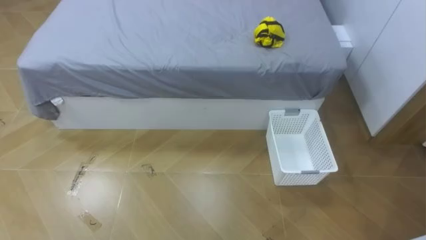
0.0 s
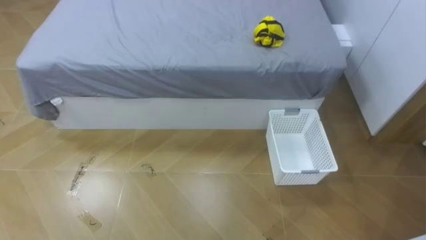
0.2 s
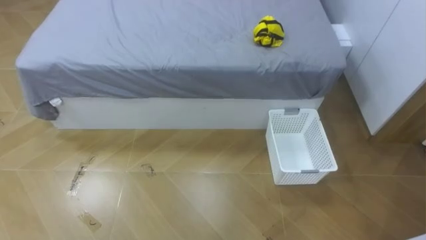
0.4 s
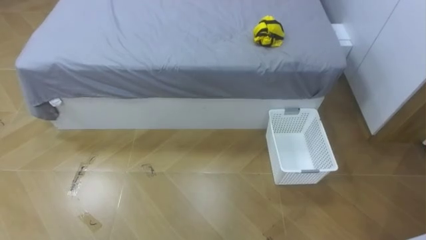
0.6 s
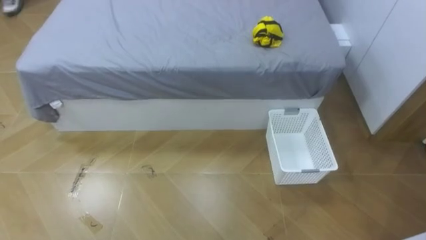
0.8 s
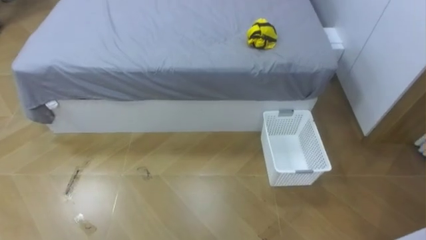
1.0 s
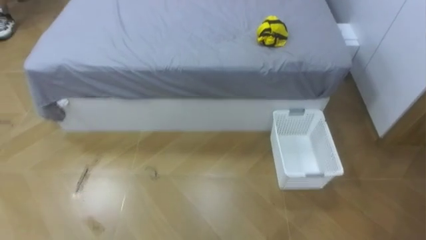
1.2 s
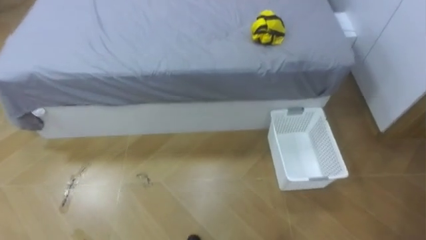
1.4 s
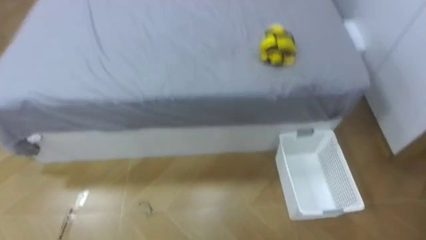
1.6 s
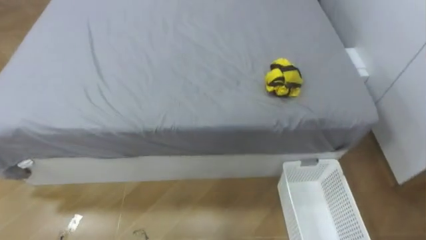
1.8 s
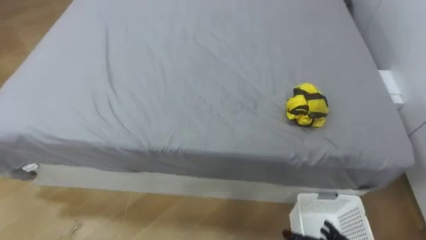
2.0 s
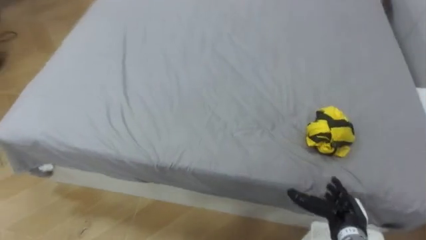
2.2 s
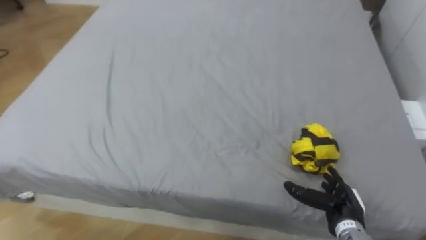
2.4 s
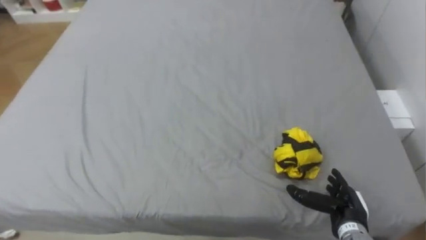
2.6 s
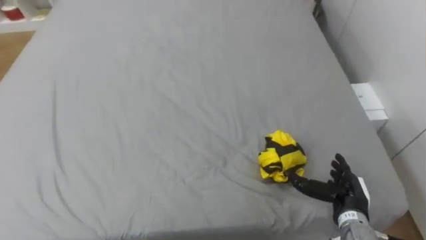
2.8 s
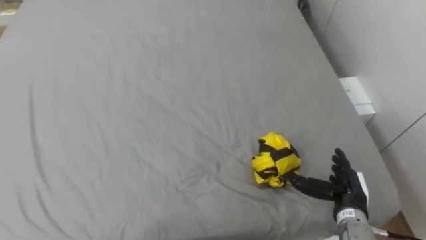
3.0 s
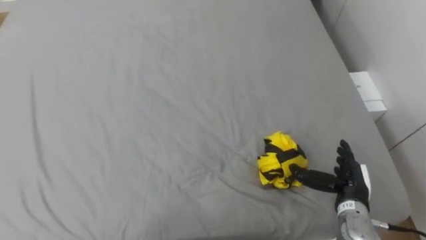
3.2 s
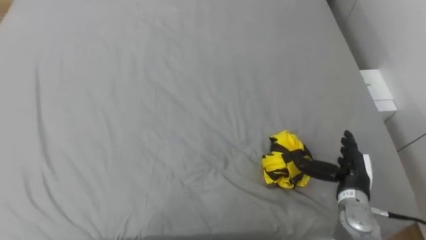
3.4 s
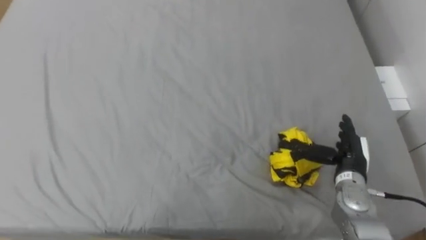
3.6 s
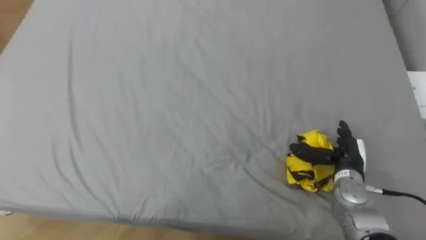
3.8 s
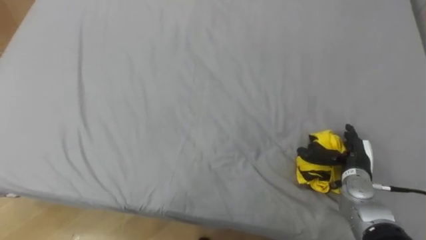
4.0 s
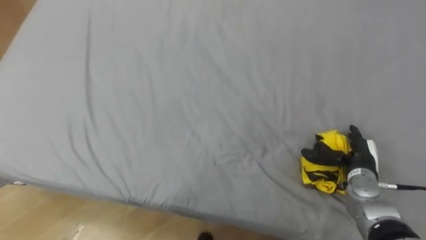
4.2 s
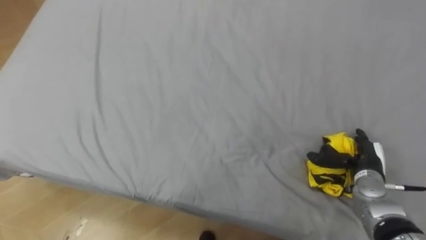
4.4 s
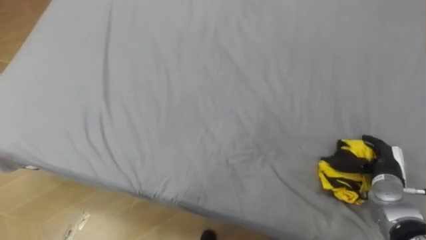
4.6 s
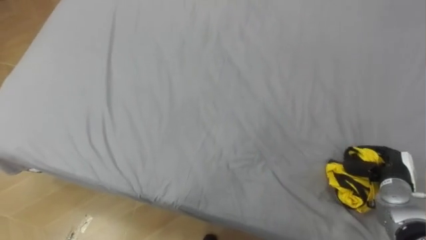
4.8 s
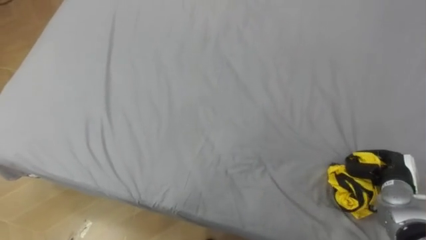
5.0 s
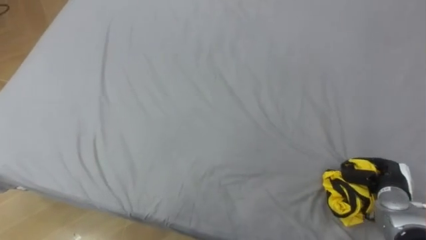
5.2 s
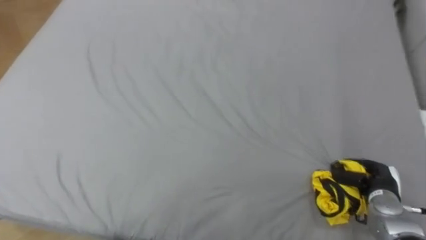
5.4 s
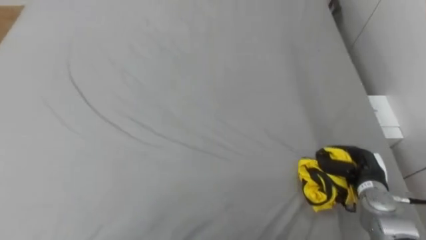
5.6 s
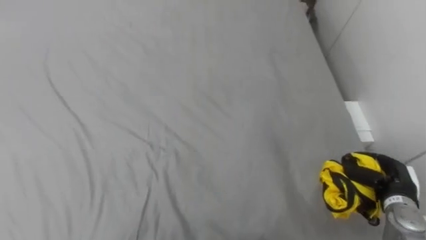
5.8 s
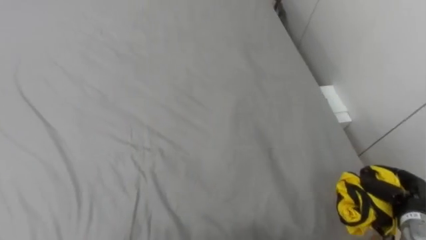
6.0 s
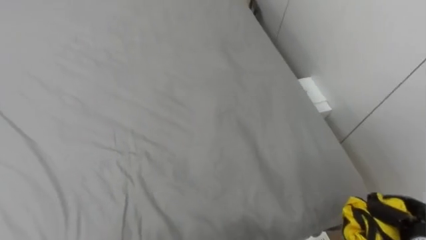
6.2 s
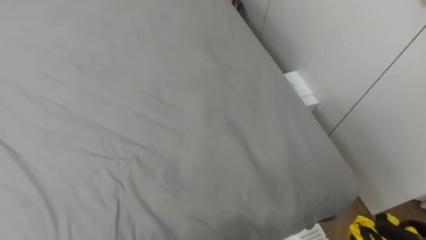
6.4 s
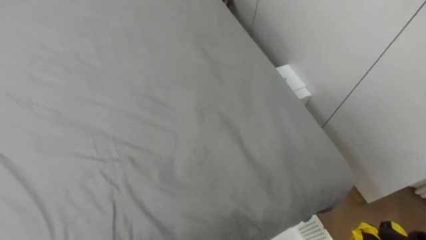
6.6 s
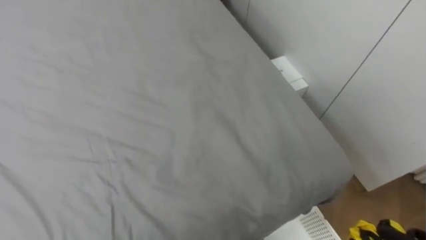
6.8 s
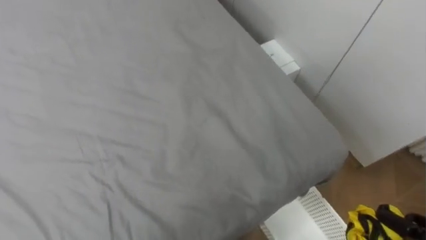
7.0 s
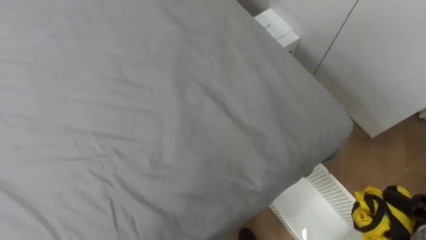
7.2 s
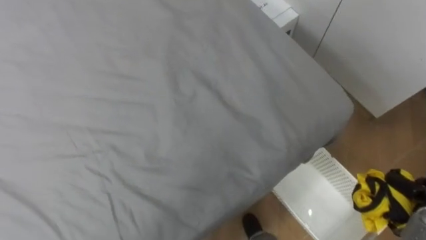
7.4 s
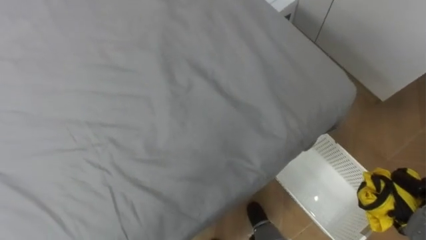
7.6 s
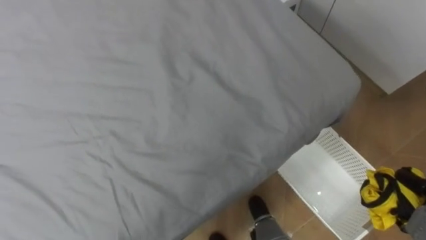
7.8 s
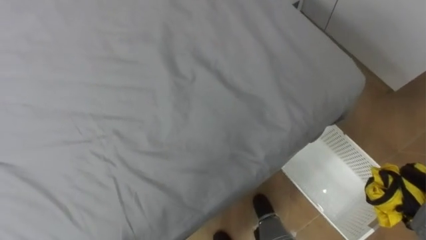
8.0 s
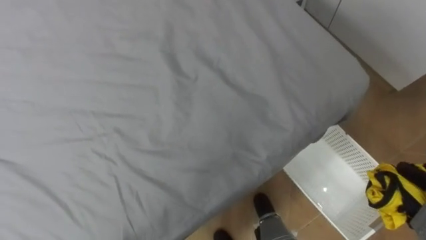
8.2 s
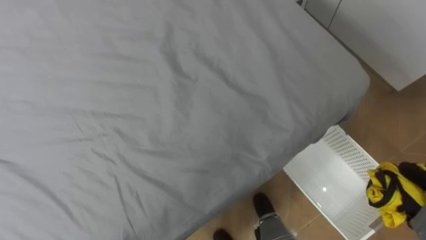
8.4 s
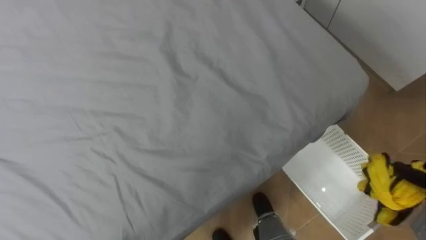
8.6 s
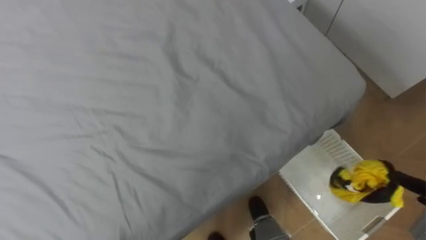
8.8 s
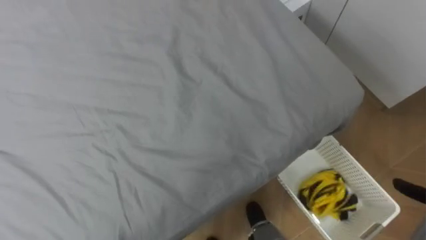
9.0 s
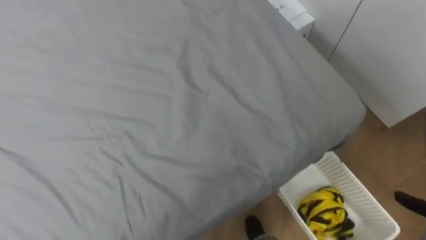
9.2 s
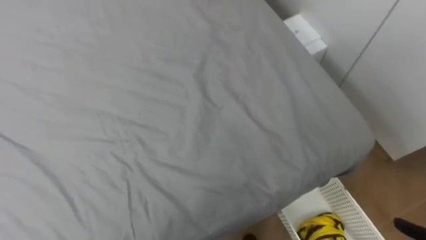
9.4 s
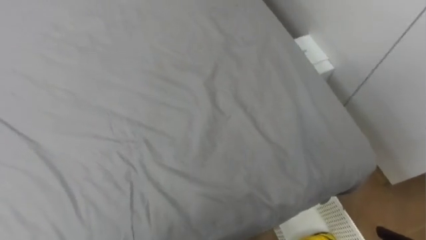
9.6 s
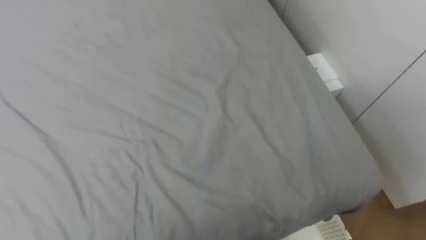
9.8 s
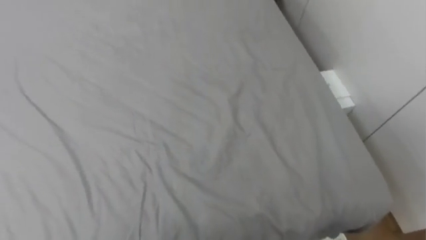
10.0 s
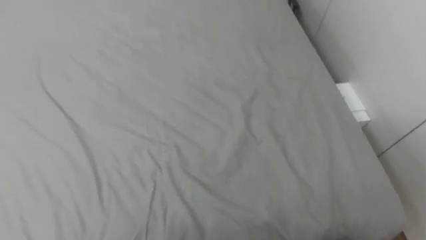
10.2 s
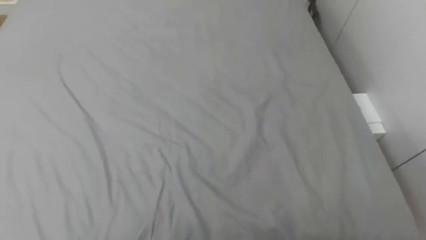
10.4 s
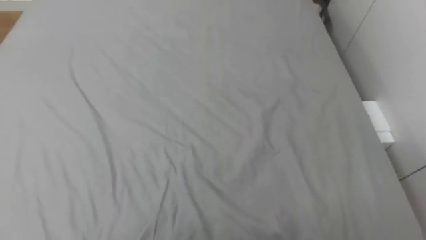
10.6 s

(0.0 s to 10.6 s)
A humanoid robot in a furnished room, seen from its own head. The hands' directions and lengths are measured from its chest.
Task of the whole recording: Pick up the yellow clothes on the bed and place them into the white basket on the right.
3.0 s - 4.6 s: The right hand heads to the right and forward, covering about 10 cm.
4.6 s - 6.0 s: The right hand travels backward by some 5 cm, and closes.
9.0 s - 10.6 s: The robot turns to its left by approximately 20 degrees.

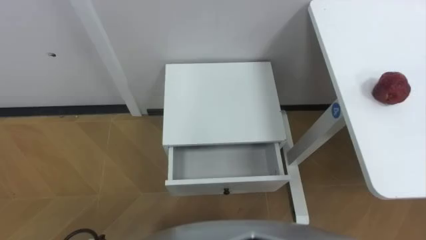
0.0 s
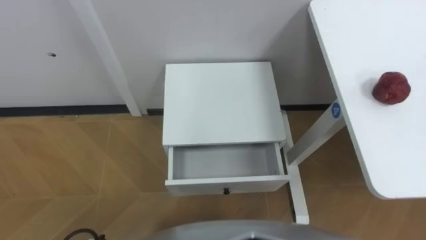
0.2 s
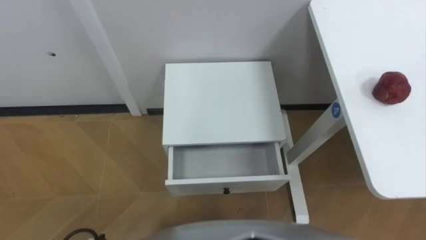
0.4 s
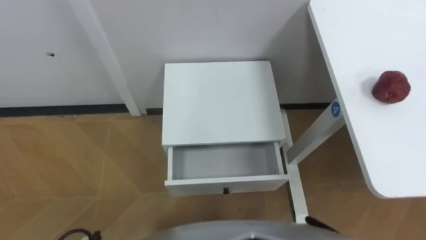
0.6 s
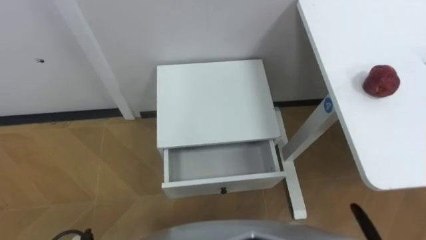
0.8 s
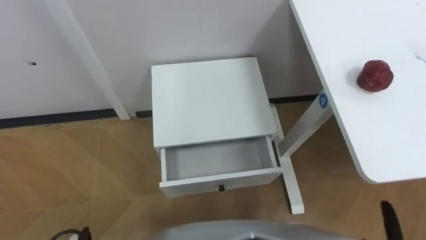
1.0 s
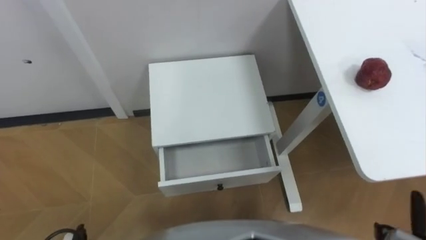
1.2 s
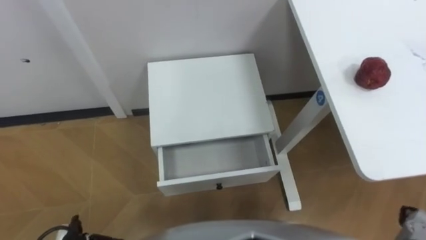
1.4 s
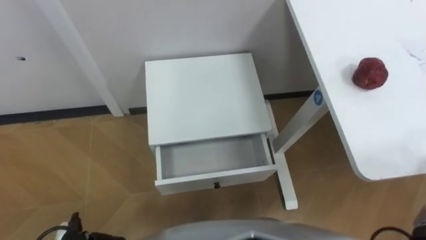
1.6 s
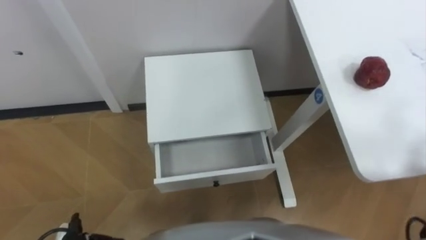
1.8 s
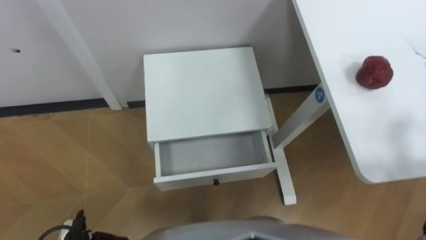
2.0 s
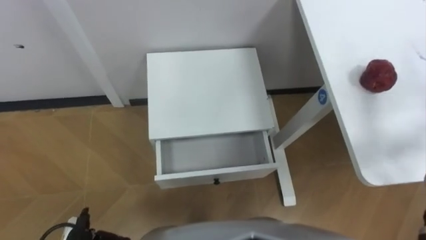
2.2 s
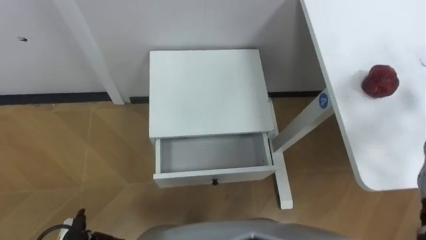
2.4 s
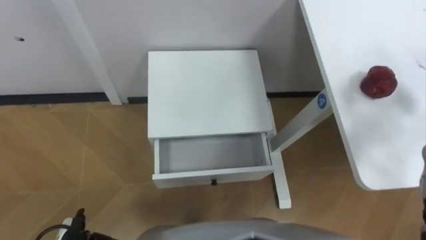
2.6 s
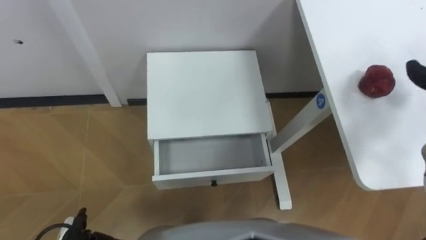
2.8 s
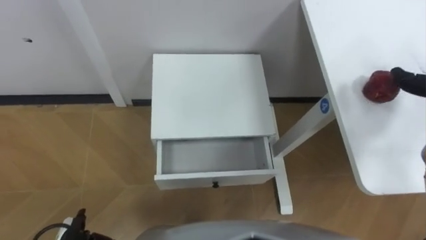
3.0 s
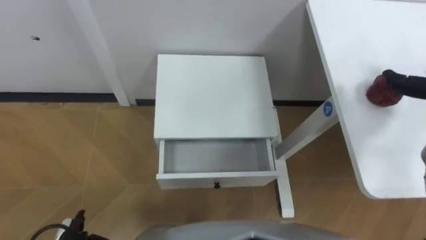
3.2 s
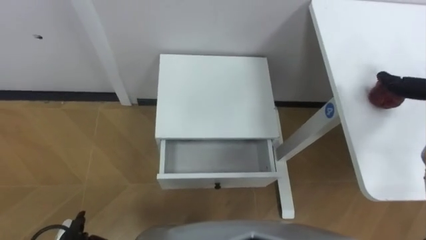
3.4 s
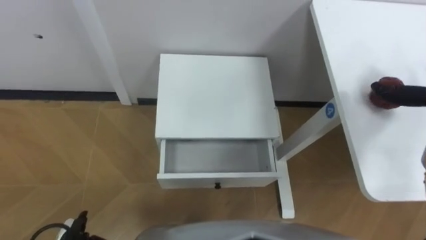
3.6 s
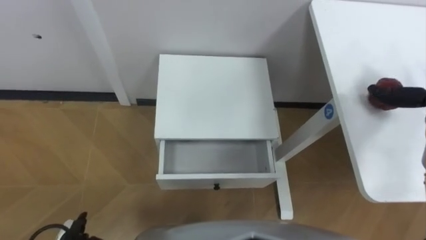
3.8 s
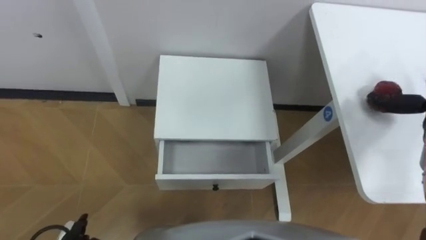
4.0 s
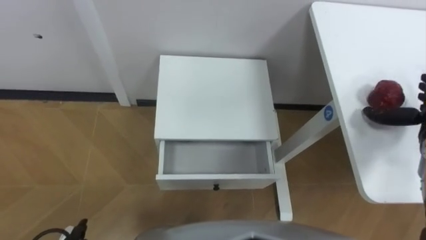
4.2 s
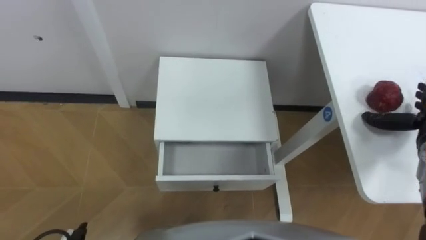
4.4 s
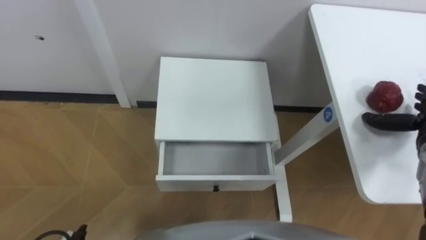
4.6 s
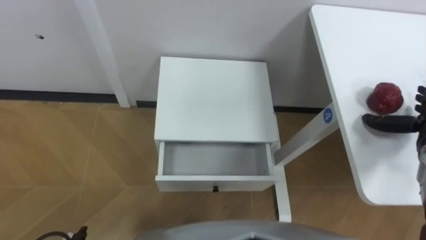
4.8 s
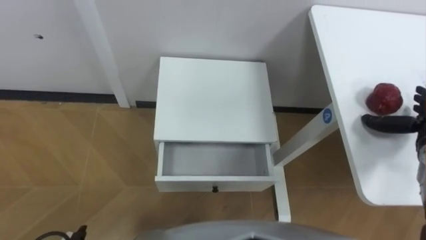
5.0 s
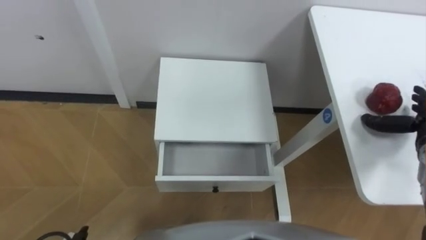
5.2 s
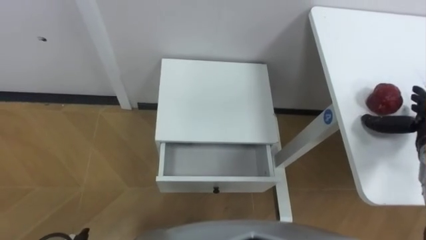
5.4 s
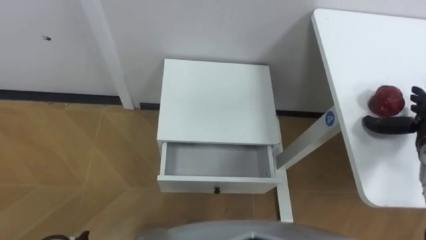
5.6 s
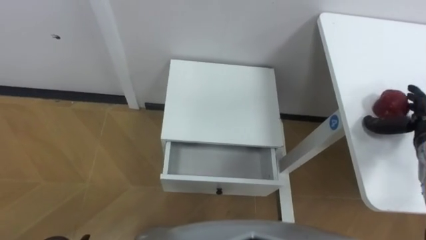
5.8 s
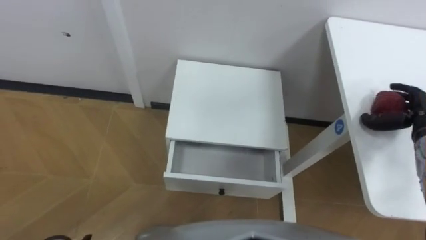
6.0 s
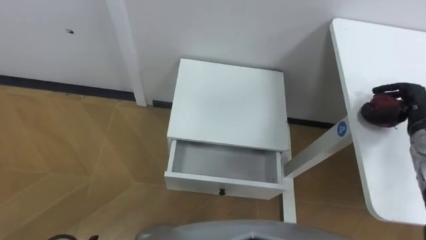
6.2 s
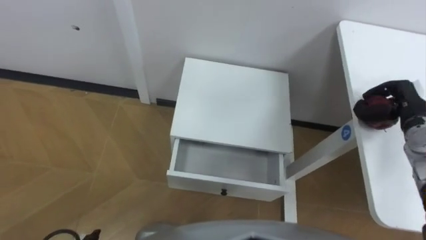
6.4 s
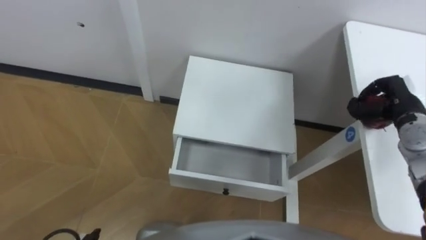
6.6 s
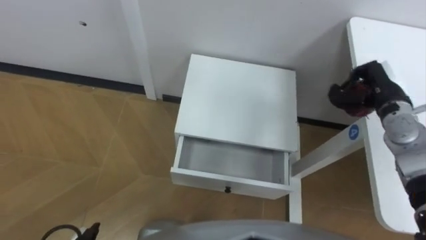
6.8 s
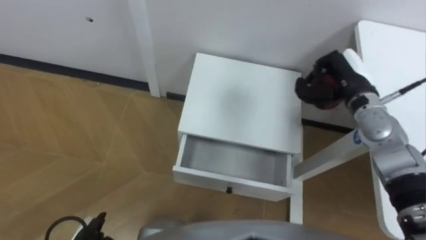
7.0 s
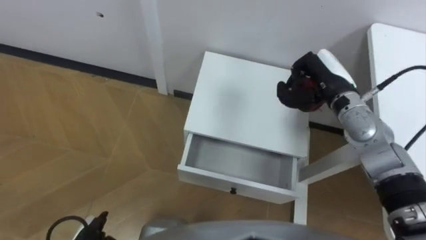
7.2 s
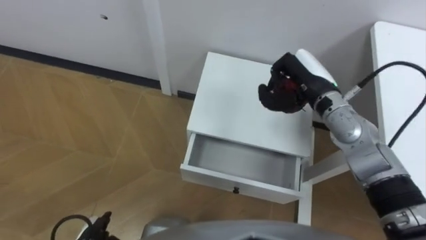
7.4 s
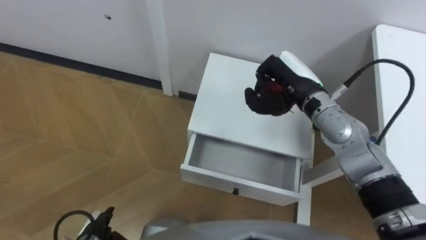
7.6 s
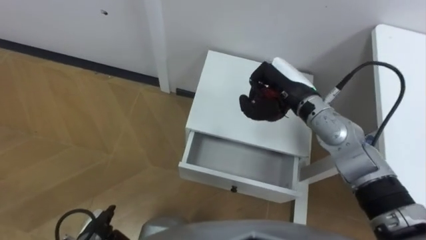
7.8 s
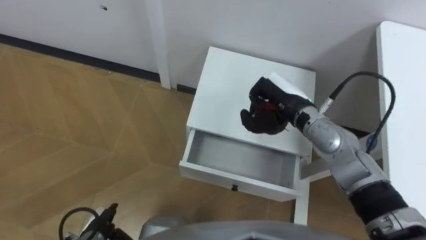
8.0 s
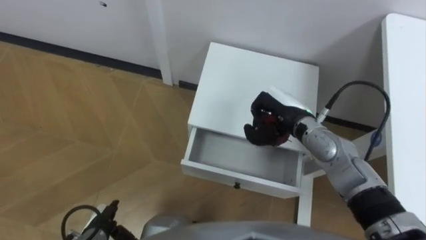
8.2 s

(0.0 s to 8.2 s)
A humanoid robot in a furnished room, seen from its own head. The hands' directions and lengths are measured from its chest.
Task of the whole recording: Pick up the apple from the table, put it in the drawer, and close the drawer with leg.
5.0 s - 6.6 s: The right hand changes place by approximately 5 cm, and closes up.
6.6 s - 8.2 s: The right hand goes about 25 cm to the left.
